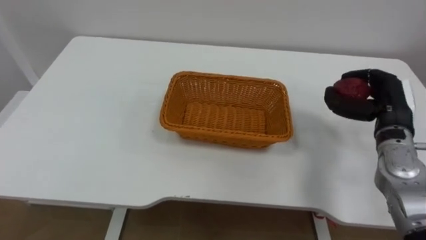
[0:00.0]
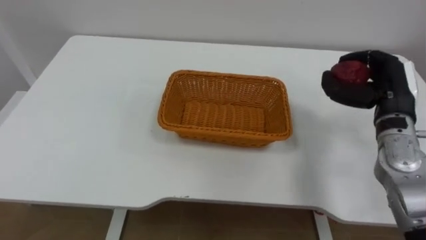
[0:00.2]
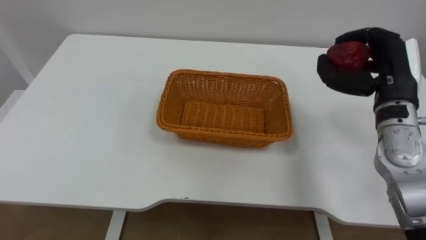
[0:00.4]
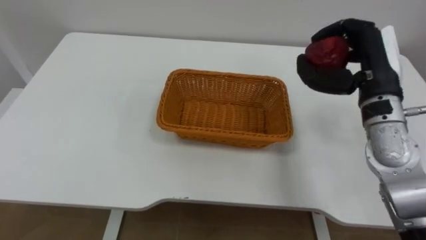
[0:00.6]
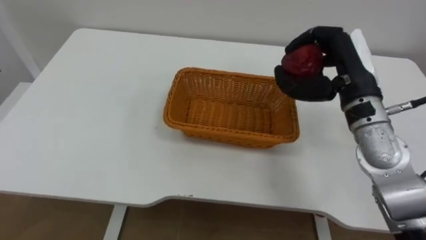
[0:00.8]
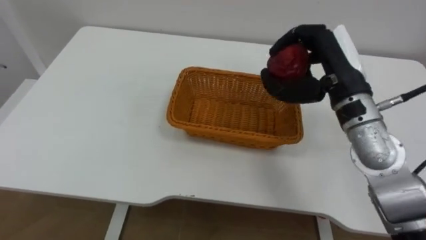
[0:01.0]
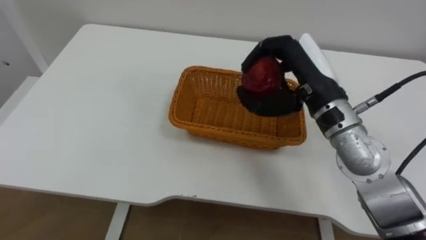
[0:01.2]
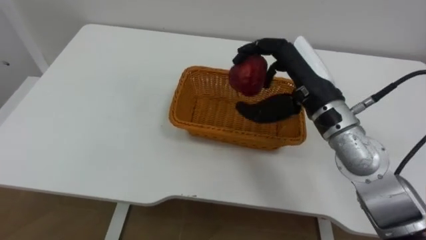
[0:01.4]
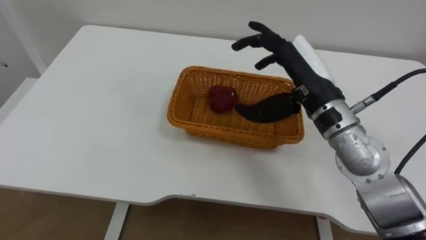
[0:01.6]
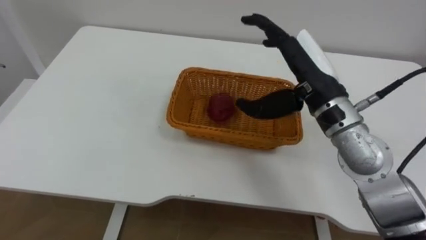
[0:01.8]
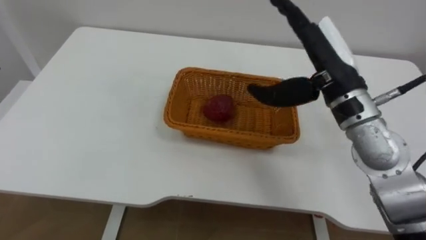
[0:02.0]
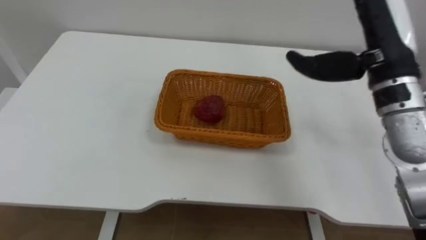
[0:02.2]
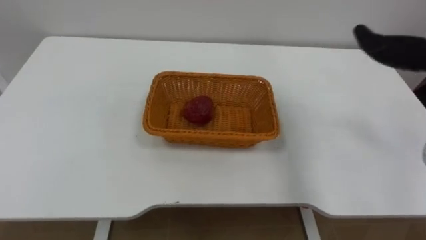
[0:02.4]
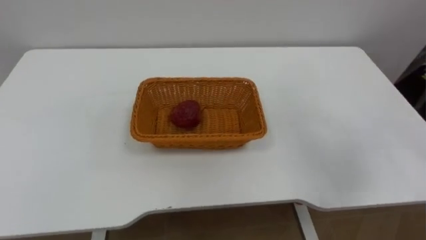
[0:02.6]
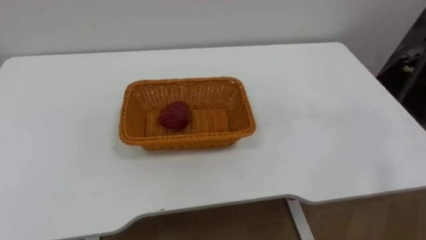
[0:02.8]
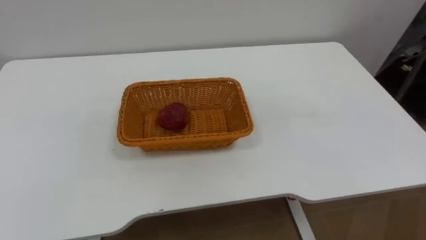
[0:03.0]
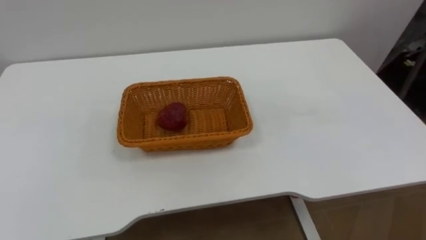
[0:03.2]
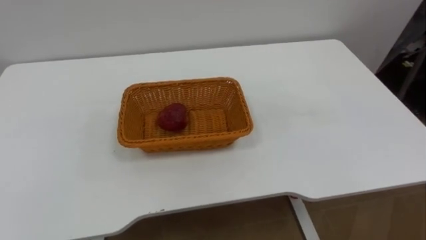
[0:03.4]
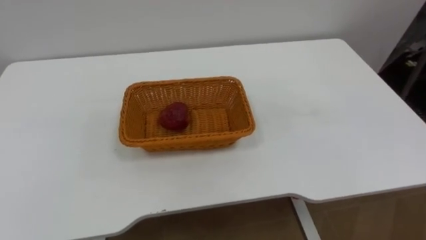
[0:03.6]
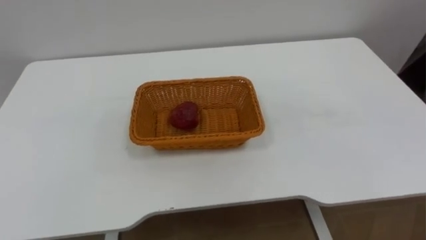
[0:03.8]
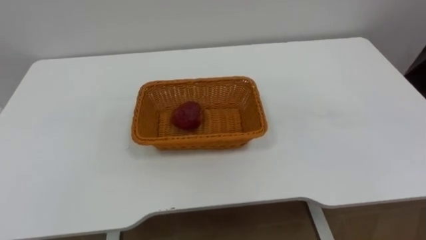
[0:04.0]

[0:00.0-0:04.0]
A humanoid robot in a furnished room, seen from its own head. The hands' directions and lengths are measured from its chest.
Task of the whole recording: Pick the apple and place it in the box.
0:00.0 to 0:01.4: The right hand moves to the left and upward, roughly 20 cm.

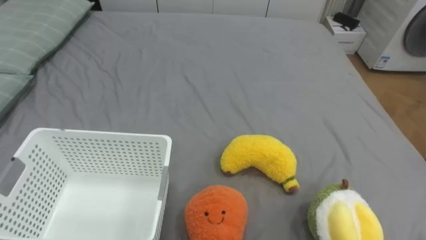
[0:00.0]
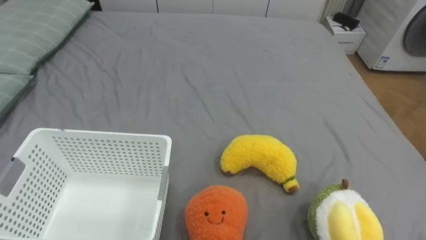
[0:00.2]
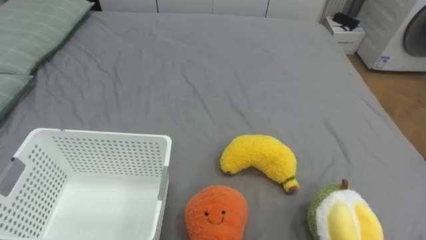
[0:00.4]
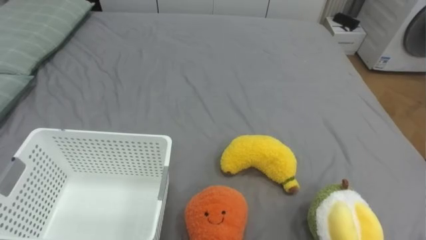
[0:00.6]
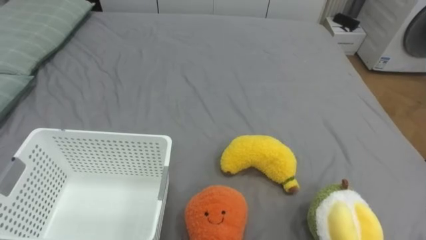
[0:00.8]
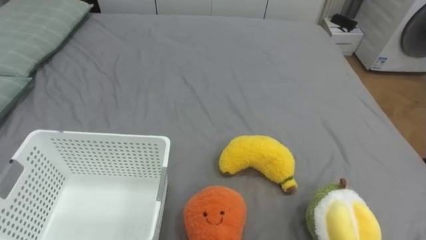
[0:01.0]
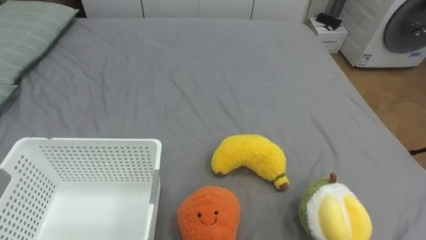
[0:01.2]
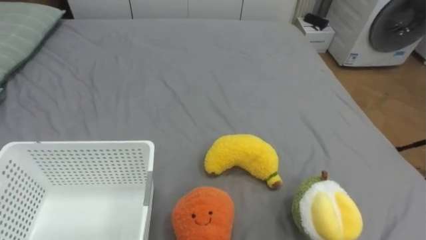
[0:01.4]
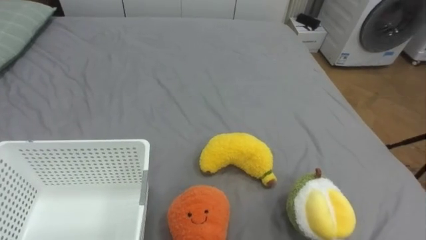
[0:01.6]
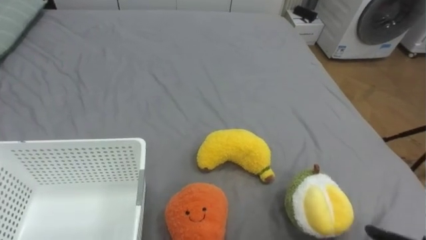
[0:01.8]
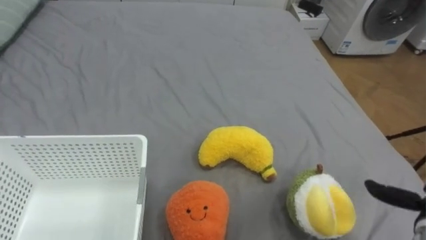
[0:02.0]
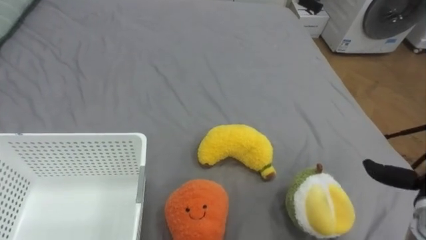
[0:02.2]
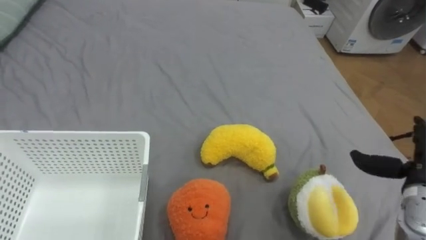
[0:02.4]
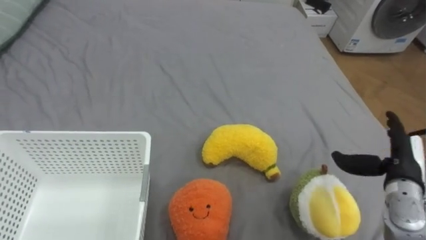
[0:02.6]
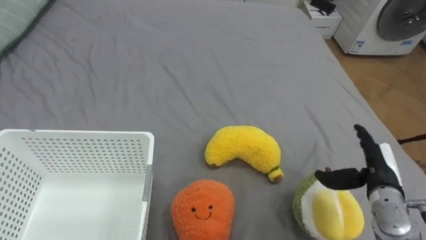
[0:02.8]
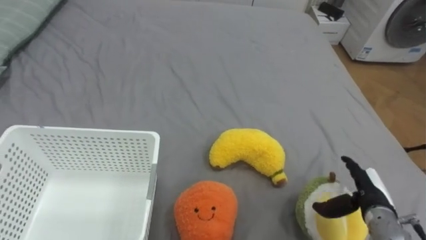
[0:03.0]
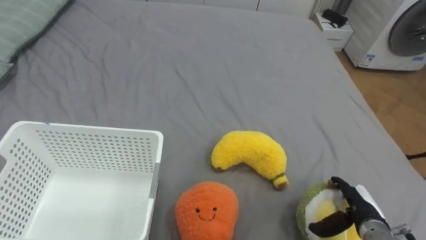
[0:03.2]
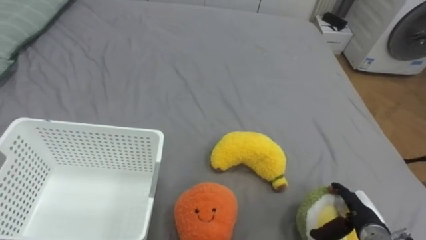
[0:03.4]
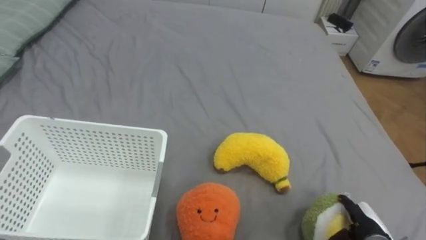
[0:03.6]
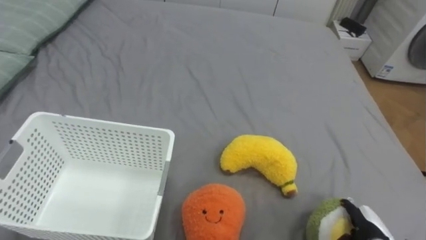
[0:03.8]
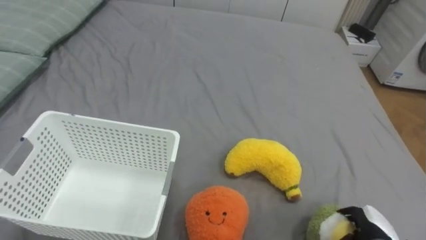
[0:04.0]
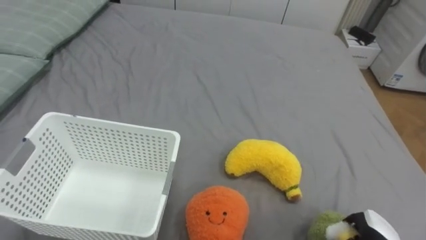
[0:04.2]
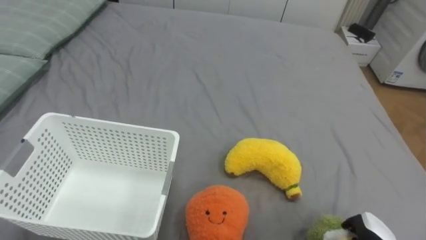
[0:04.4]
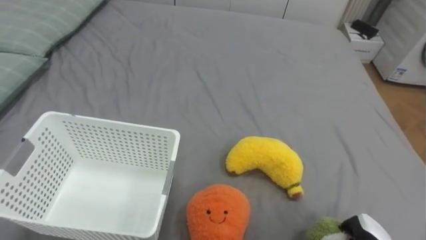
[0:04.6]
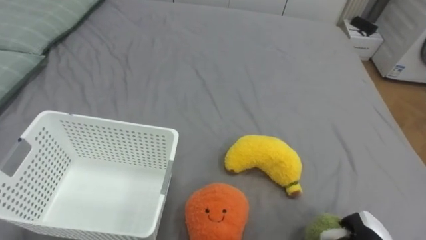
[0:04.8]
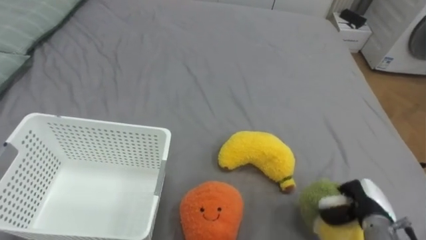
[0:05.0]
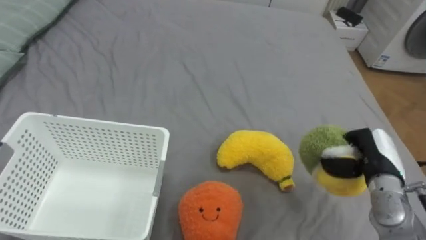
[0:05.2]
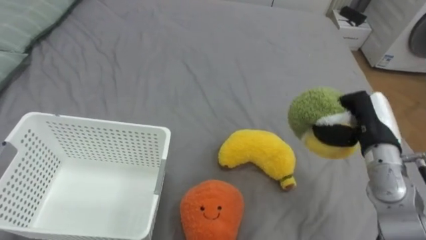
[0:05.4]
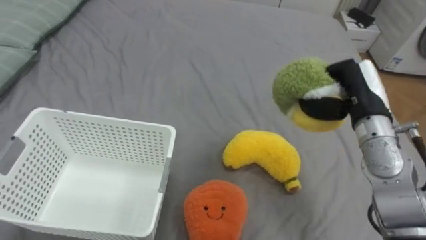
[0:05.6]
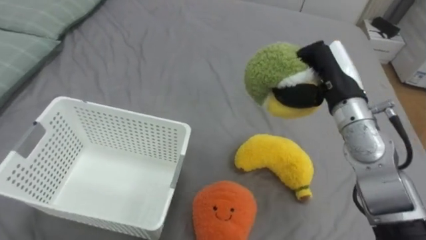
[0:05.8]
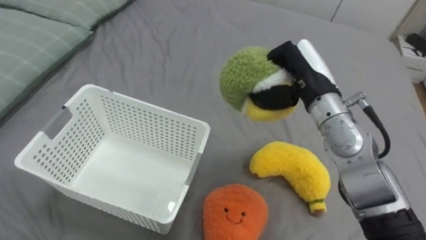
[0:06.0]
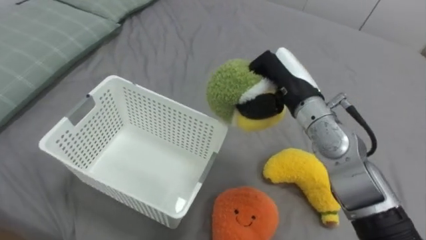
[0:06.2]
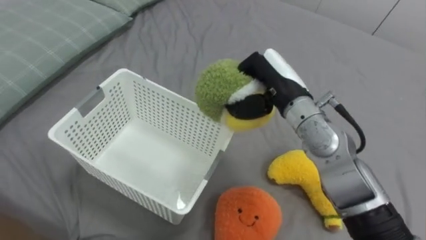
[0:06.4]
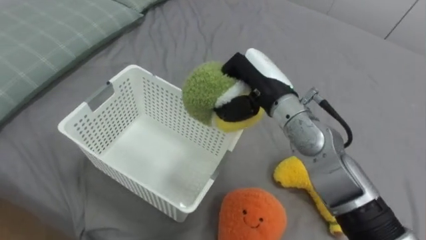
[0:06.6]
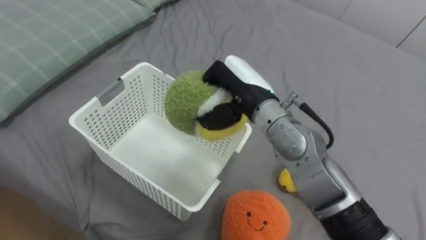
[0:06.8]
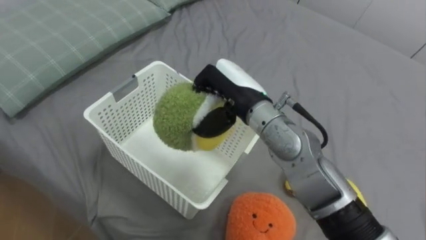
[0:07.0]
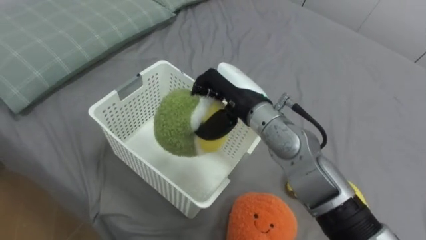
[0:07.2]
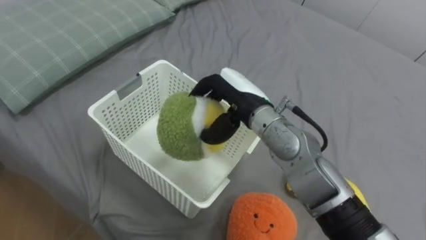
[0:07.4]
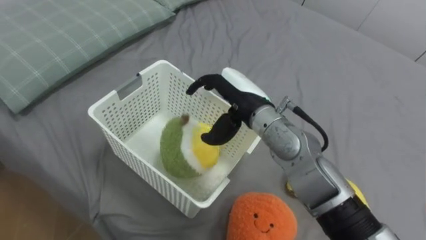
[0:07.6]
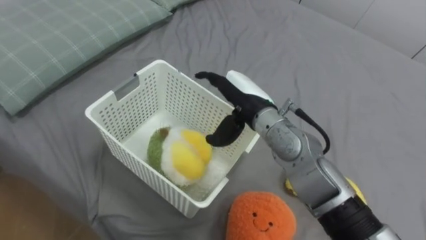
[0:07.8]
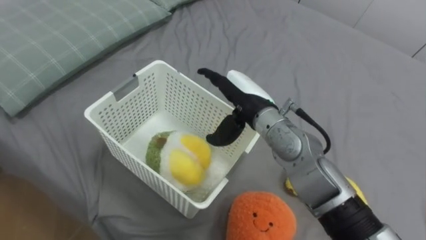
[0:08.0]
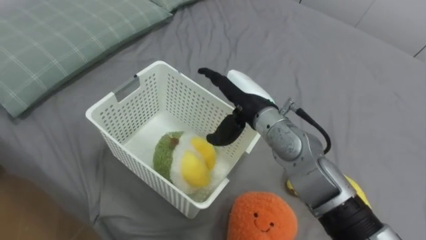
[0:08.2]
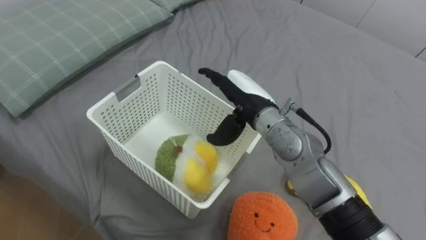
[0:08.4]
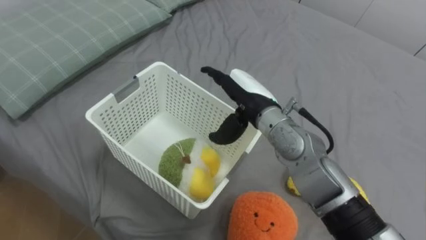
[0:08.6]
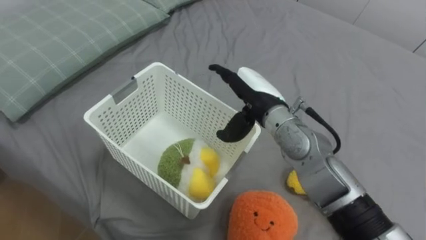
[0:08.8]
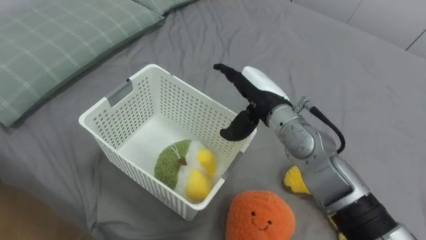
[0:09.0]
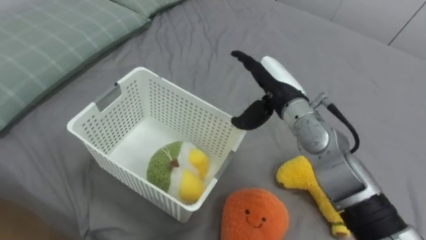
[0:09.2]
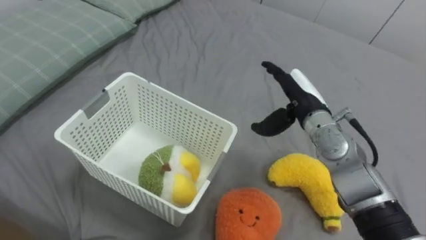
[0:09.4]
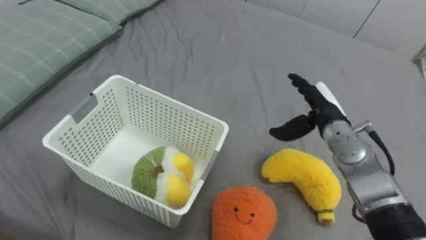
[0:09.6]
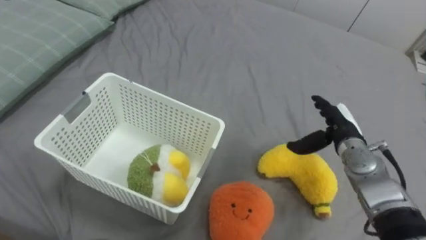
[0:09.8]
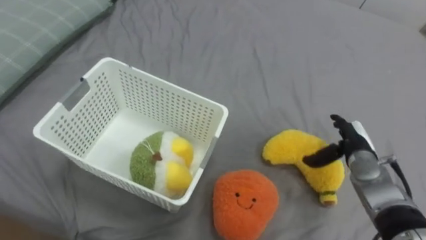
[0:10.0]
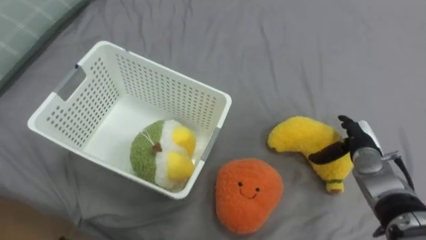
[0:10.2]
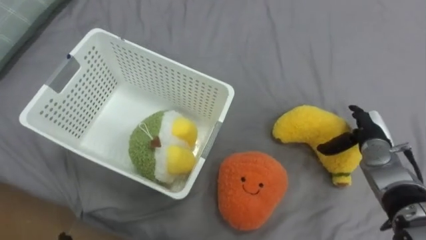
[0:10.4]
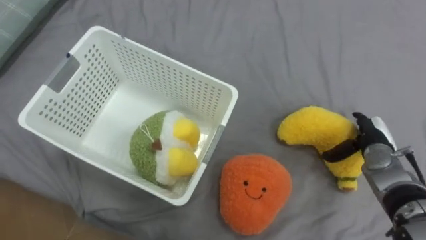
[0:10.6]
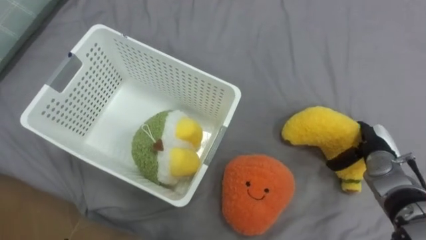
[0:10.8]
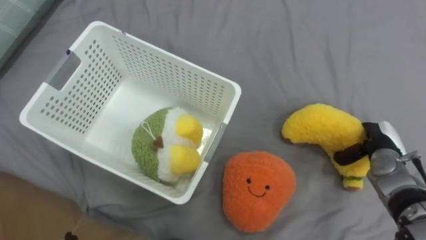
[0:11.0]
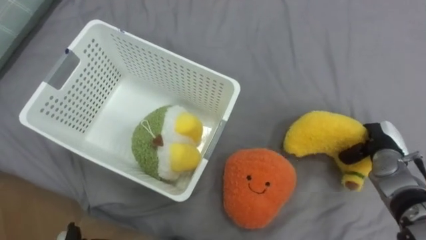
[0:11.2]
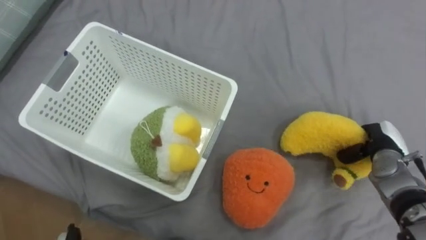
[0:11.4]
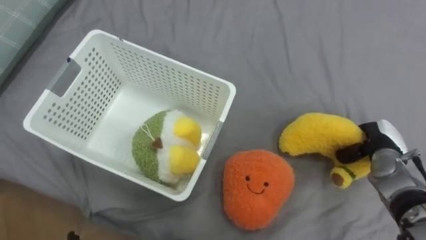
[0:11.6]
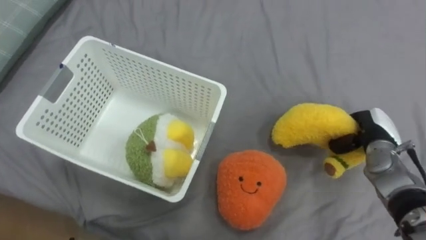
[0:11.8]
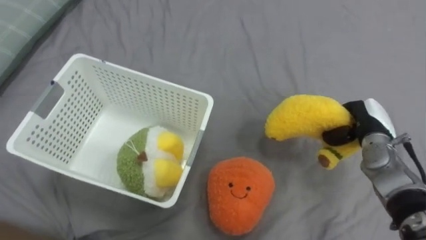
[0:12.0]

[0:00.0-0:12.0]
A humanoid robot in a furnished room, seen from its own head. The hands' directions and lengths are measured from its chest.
Task of the whole recording: Put the toys on the bed into the basket on the left.
0:03.0 to 0:04.4: The right hand goes roughly 10 cm downward and backward, and closes its fingers.
0:04.4 to 0:06.0: The right hand is displaced upward, forward and to the left by approximately 40 cm.
0:06.0 to 0:07.6: The right hand heads to the left, covering approximately 10 cm, and opens up.
0:09.0 to 0:10.4: The right hand heads to the right and downward, covering roughly 25 cm.
0:10.4 to 0:12.0: The right hand closes.

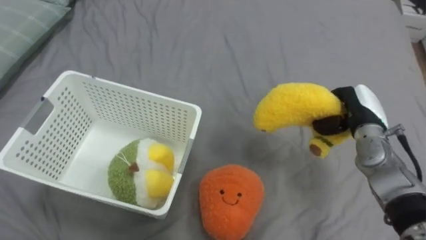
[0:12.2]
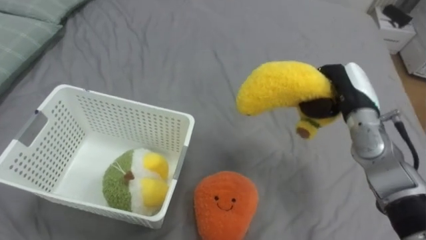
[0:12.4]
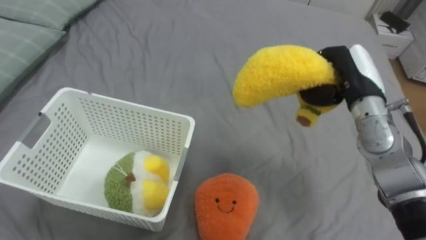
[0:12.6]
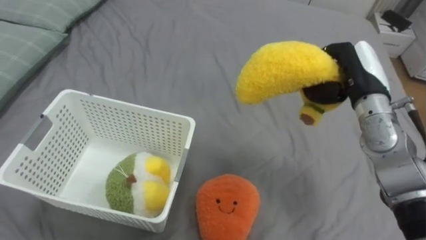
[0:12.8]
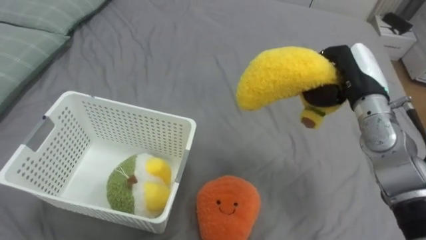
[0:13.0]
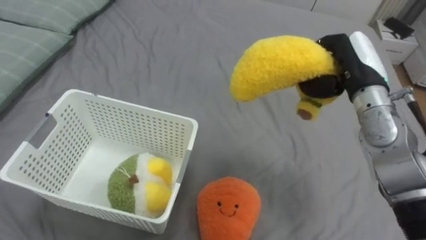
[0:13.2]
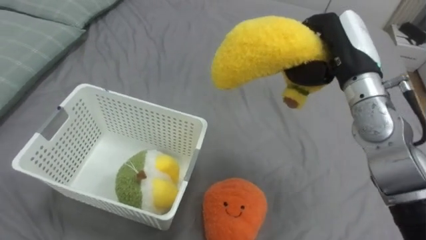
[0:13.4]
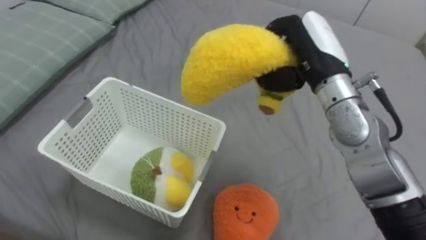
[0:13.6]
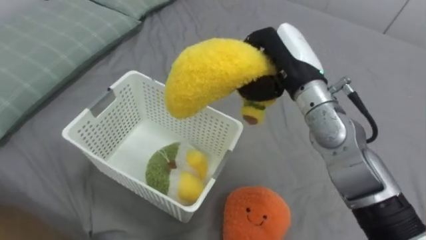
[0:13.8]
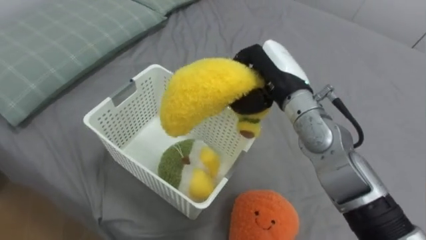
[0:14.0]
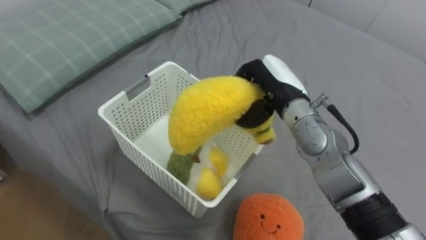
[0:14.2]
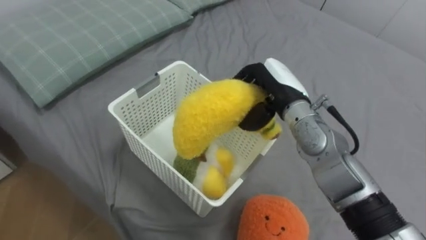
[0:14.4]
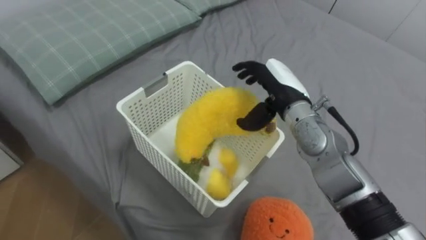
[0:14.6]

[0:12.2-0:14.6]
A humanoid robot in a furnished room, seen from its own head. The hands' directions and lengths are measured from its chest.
Task of the whole recording: Put the toys on the bed into the basket on the left.
0:12.2 to 0:13.4: The right hand travels upward and to the left by about 15 cm.
0:13.4 to 0:14.6: The right hand shifts some 10 cm to the left and downward, and opens.
